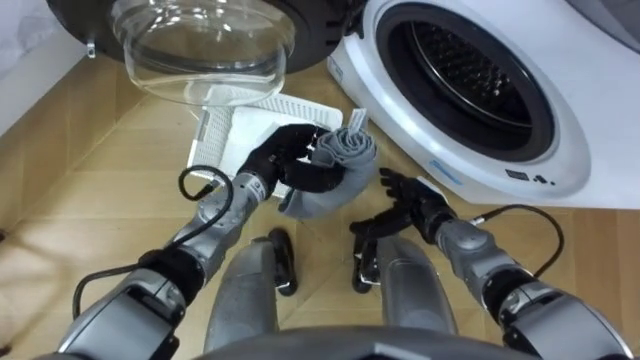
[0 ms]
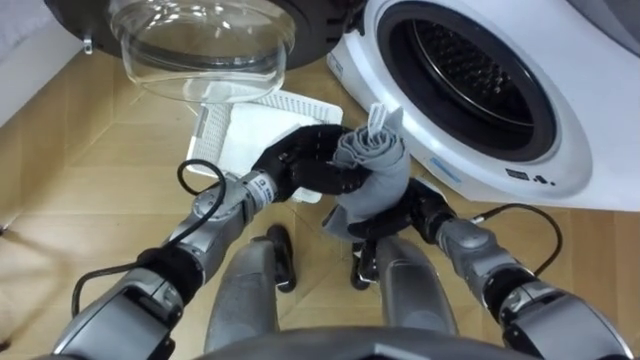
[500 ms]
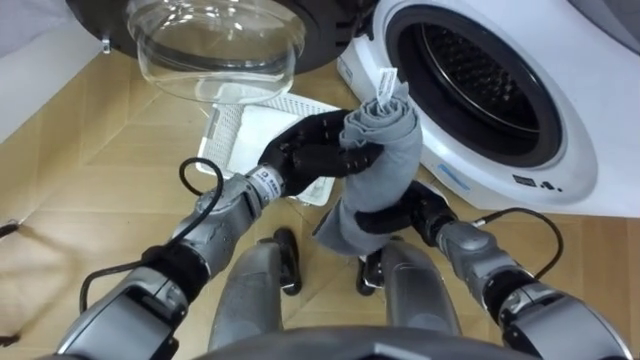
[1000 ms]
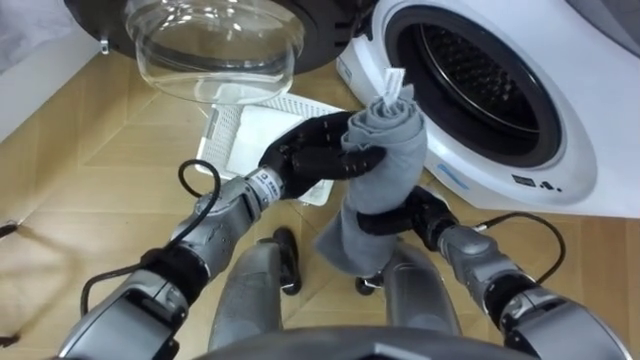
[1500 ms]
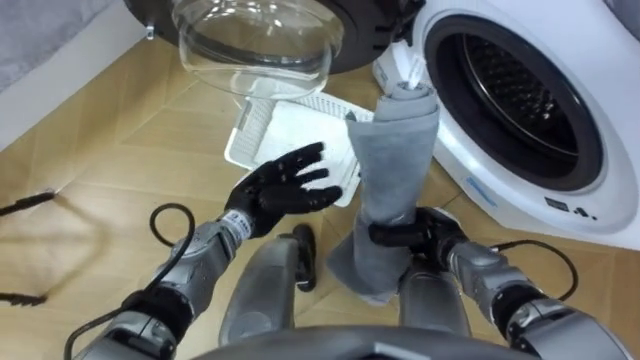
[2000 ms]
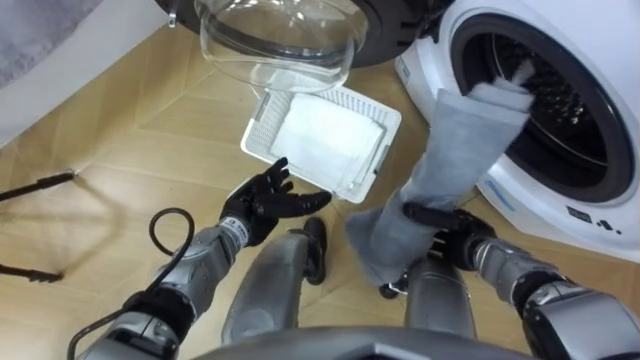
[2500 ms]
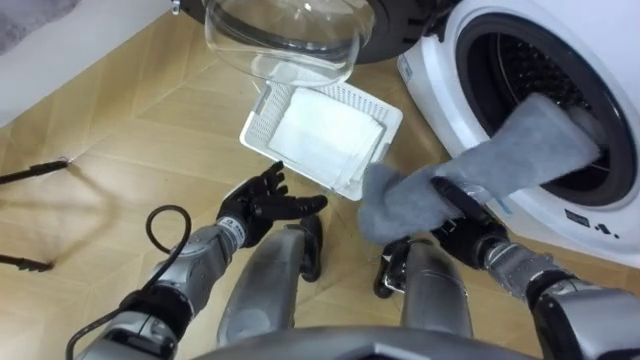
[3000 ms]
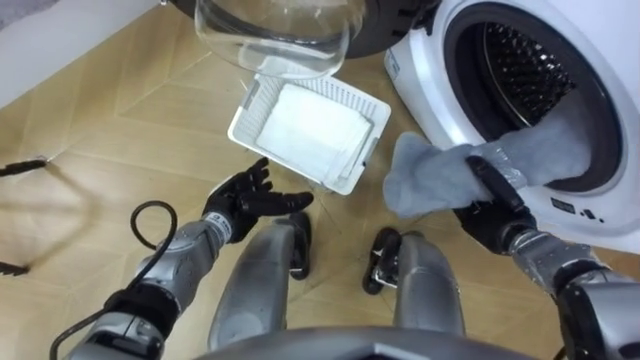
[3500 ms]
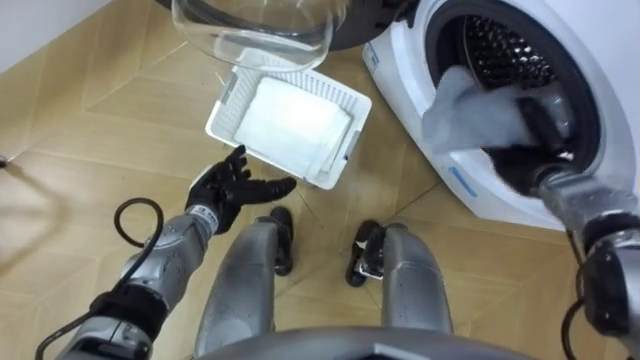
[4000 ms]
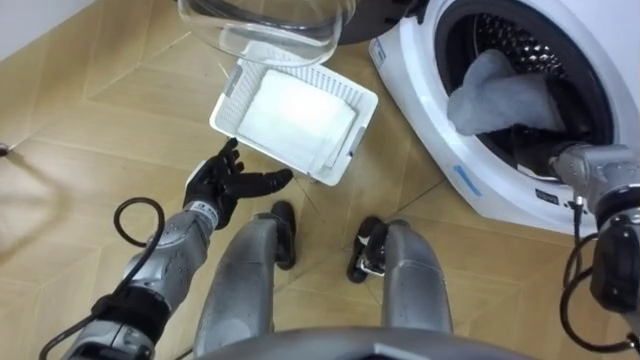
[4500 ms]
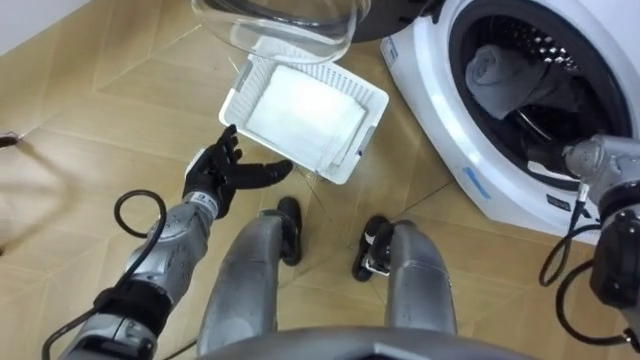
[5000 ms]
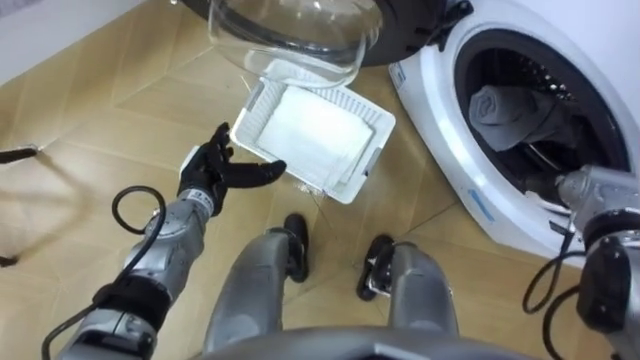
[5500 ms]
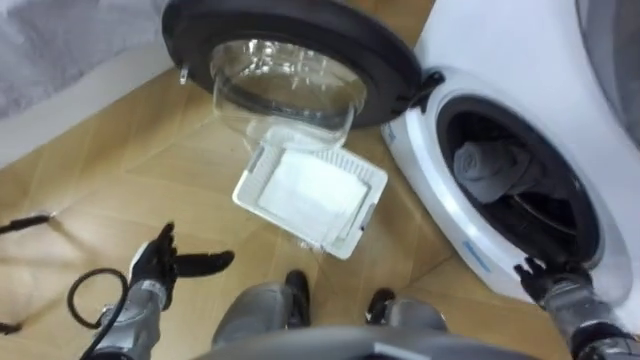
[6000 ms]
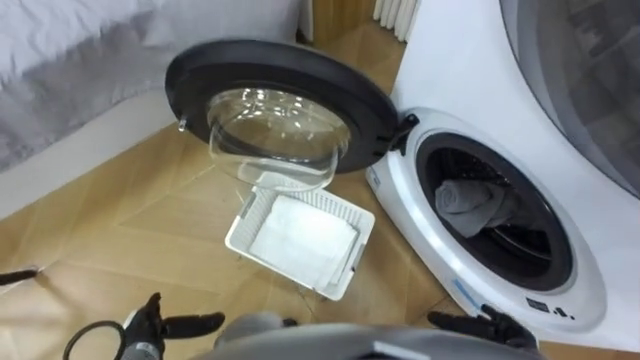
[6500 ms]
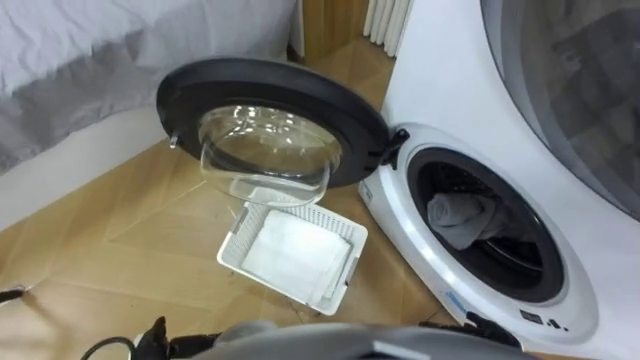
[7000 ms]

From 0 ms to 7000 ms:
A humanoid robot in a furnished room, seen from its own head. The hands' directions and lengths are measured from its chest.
Task of the whole recording: Take the towel from the basket and put it into the washing machine.
From 0 ms to 2000 ms: The right hand closes, while the left hand changes place by approximately 5 cm, and opens up.
From 2000 ms to 3500 ms: The right hand shifts about 10 cm to the right; the left hand ends up approximately 5 cm from where it was.
From 3500 ms to 5000 ms: The left hand shifts by some 5 cm; the right hand goes roughly 15 cm upward, to the right and forward, and opens.
From 5000 ms to 7000 ms: The right hand is displaced backward and downward by approximately 30 cm.

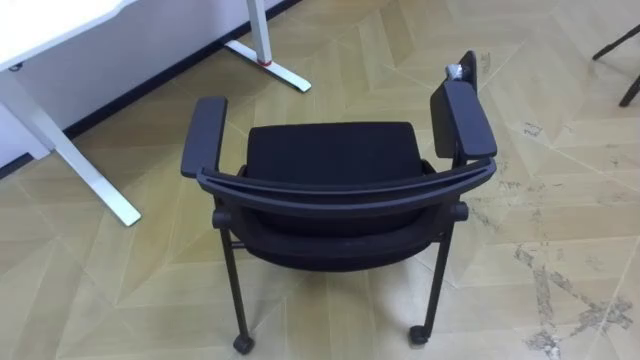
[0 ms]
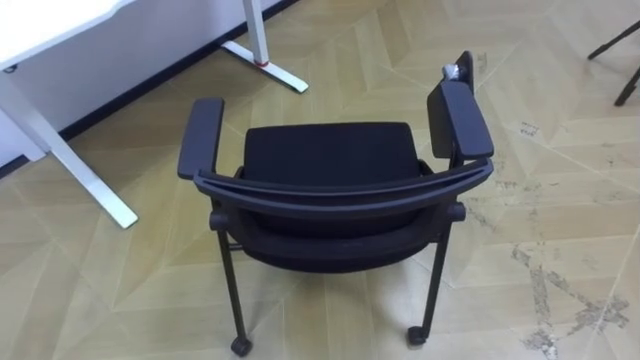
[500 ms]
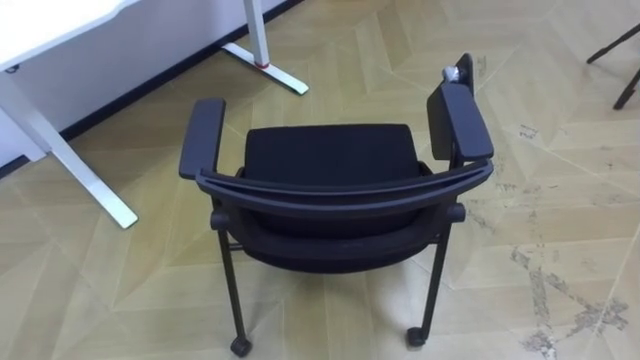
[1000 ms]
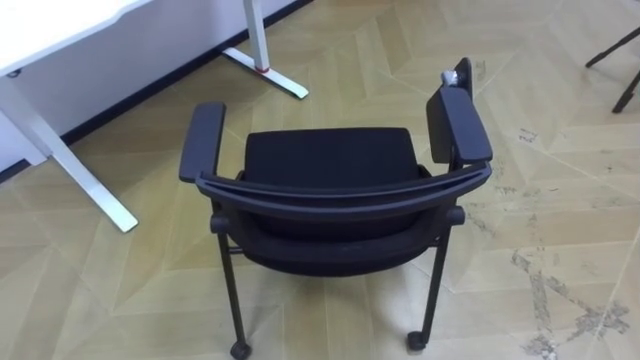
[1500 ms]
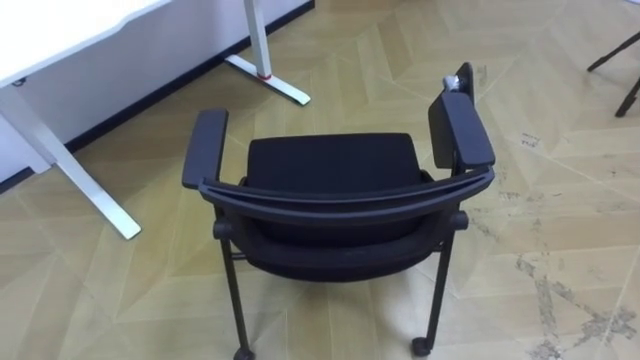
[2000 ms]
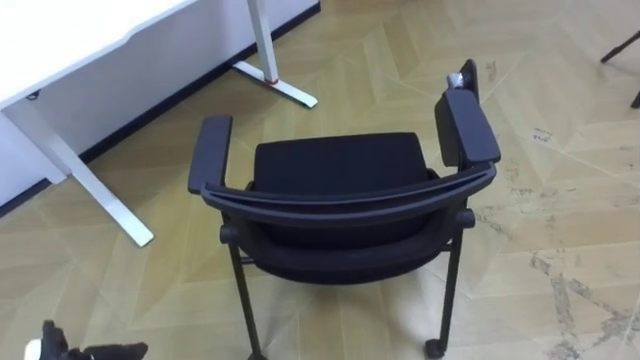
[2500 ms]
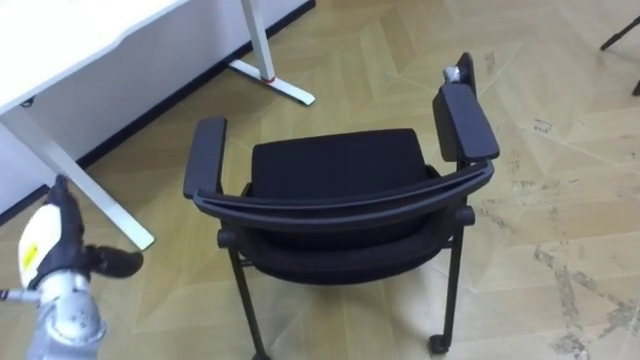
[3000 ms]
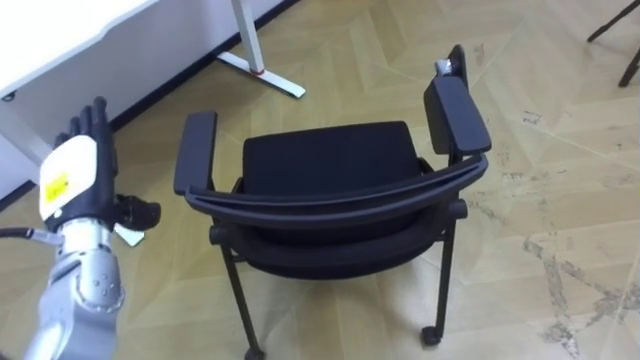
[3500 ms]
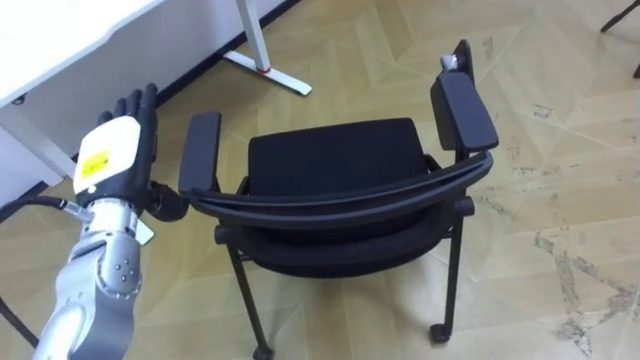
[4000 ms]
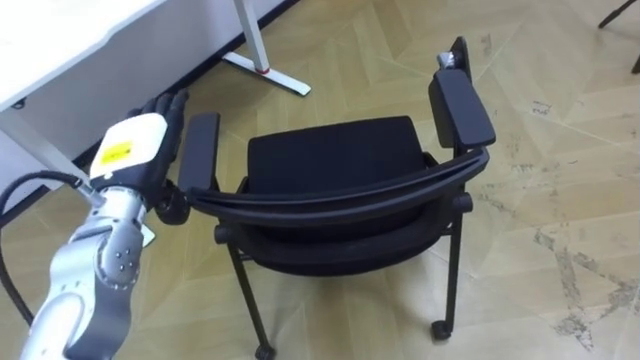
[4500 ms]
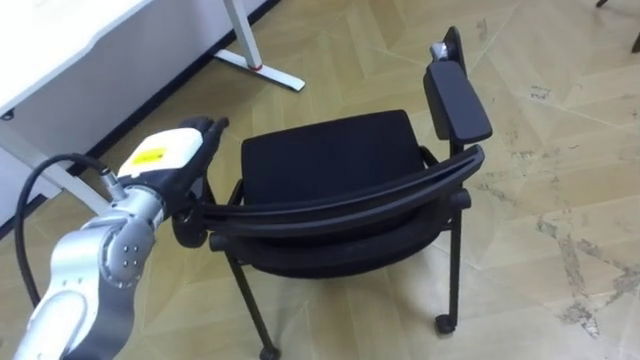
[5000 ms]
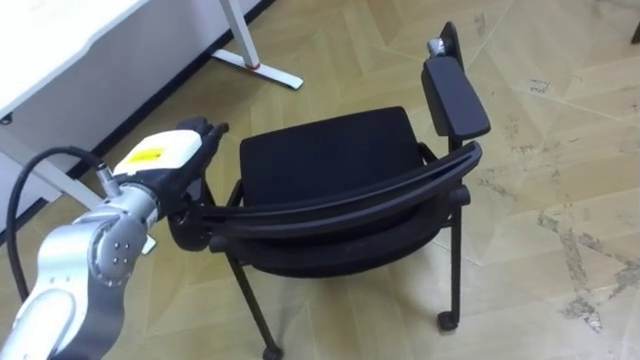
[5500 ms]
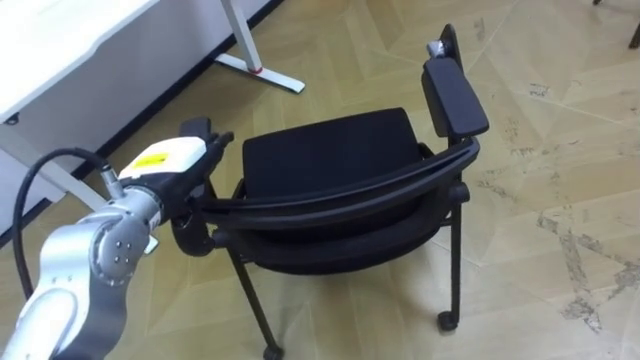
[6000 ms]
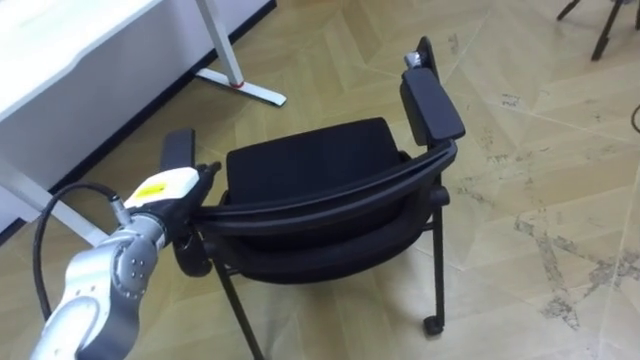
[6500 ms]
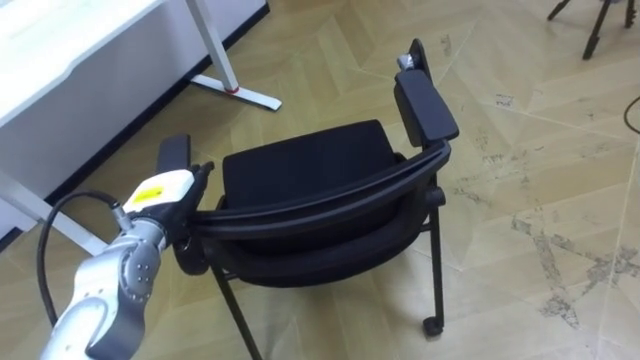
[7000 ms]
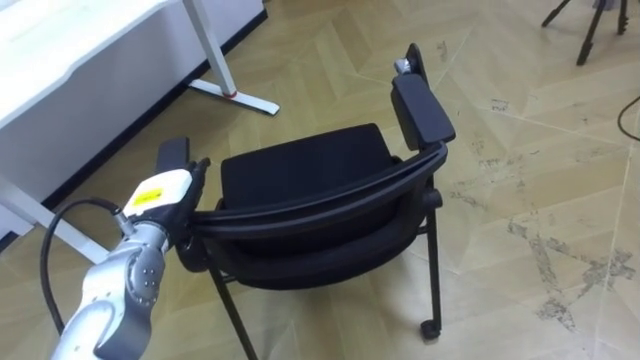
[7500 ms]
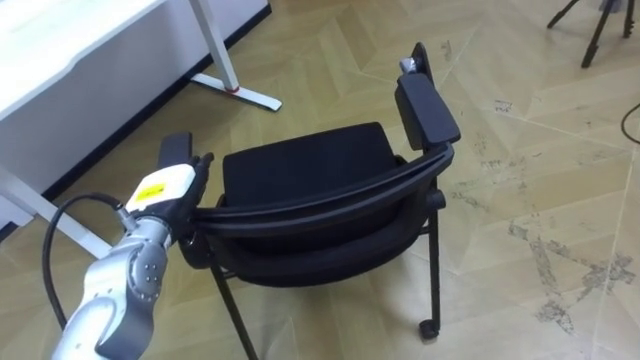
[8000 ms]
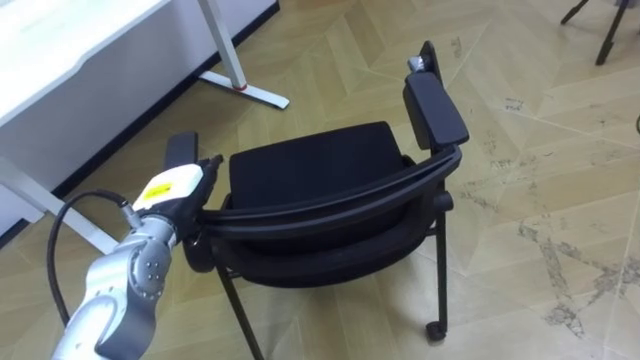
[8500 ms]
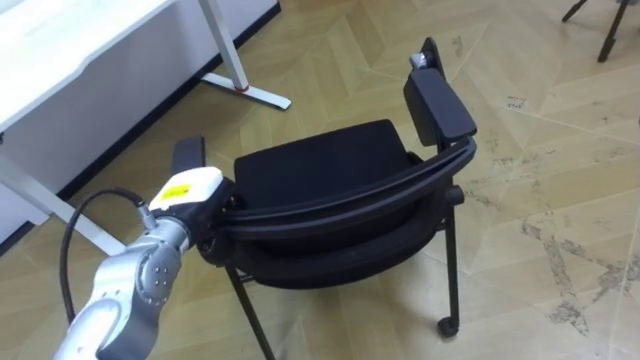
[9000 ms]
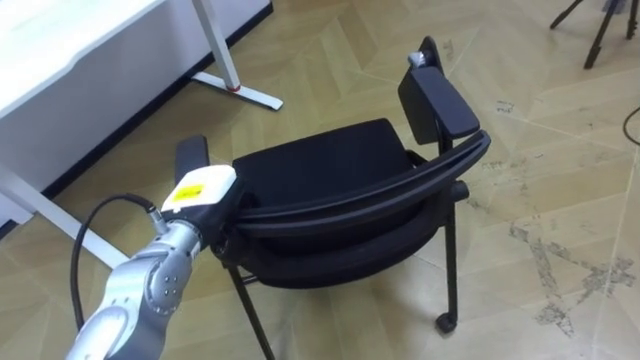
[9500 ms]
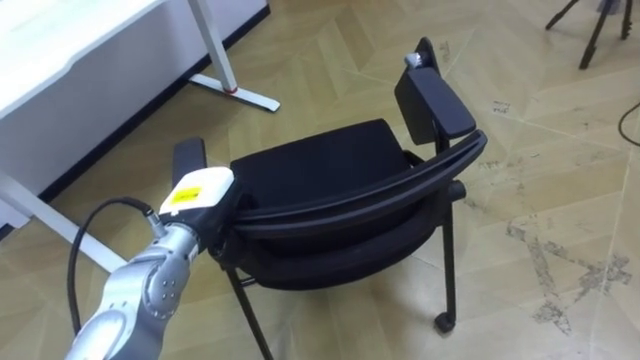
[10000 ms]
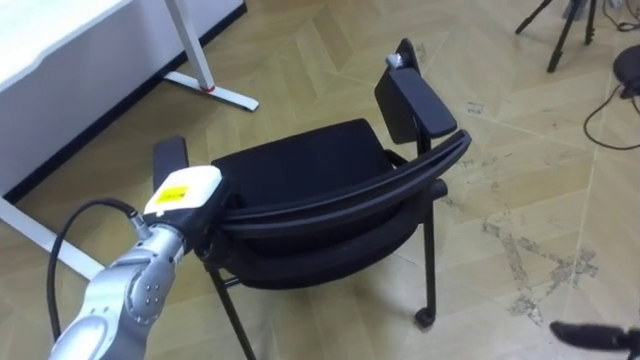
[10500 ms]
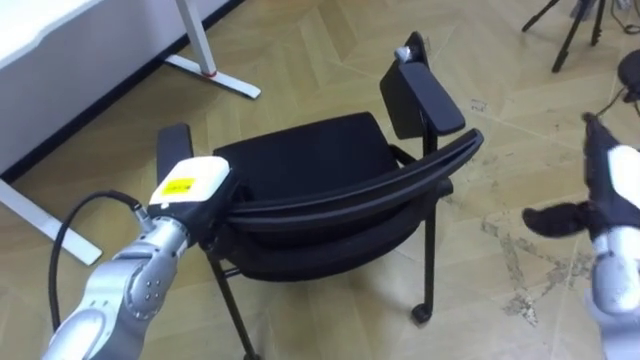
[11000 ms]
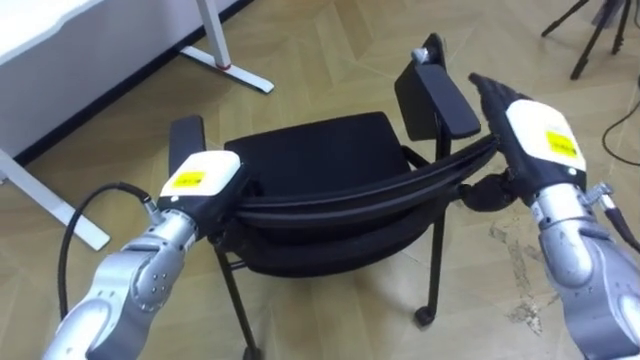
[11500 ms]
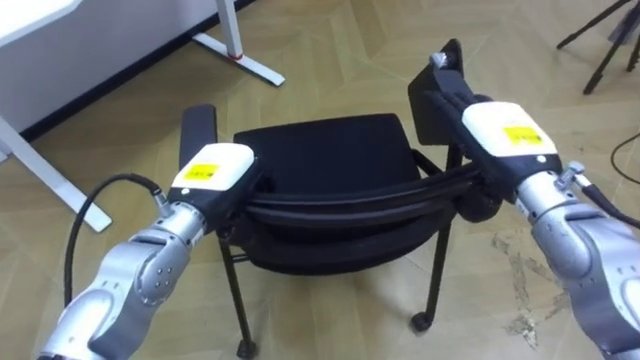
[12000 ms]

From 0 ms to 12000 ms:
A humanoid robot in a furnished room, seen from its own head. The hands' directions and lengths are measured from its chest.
Task of the whole recording: Push the chair under the table.
From 4000 ms to 6000 ms: The left hand travels to the right by some 5 cm.
From 6000 ms to 8000 ms: The left hand is displaced downward by approximately 5 cm.
From 8000 ms to 10000 ms: The left hand closes its fingers.

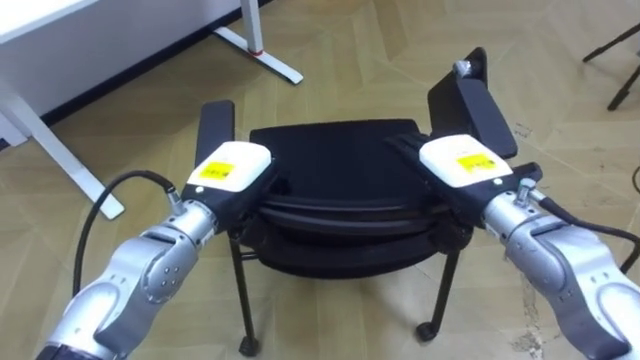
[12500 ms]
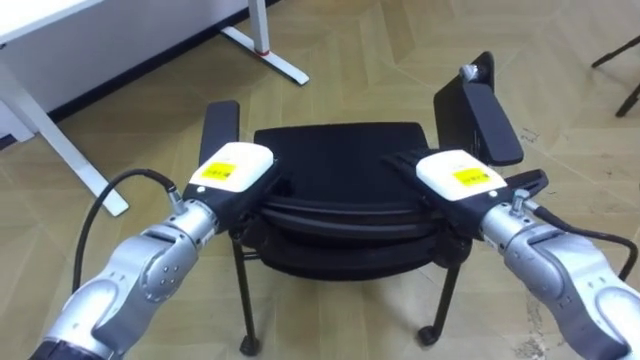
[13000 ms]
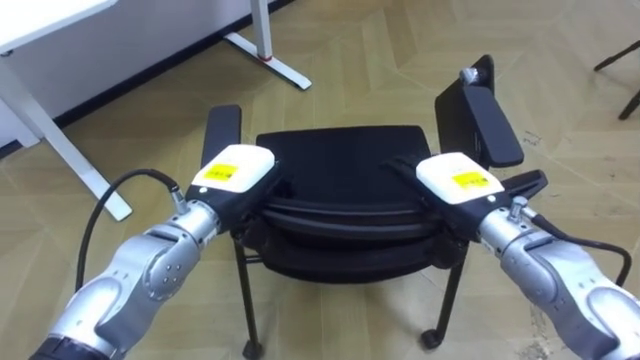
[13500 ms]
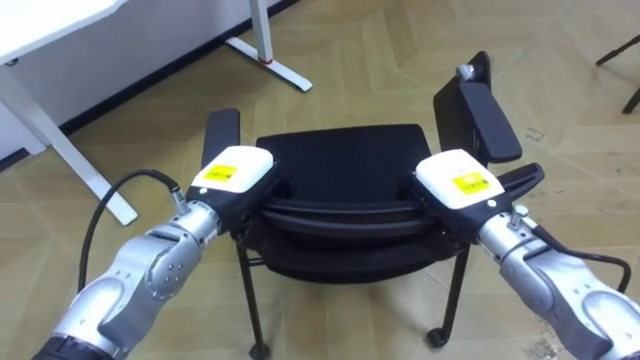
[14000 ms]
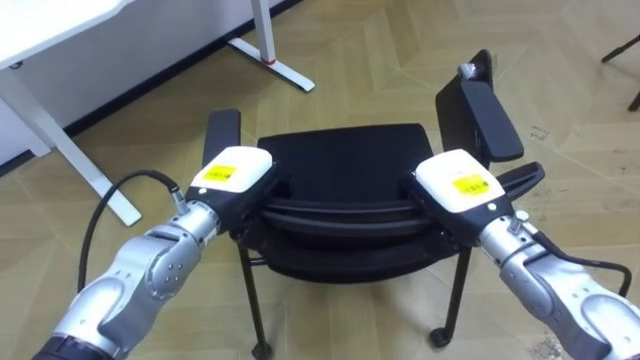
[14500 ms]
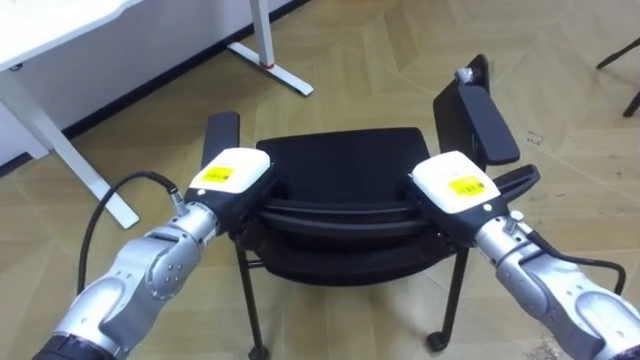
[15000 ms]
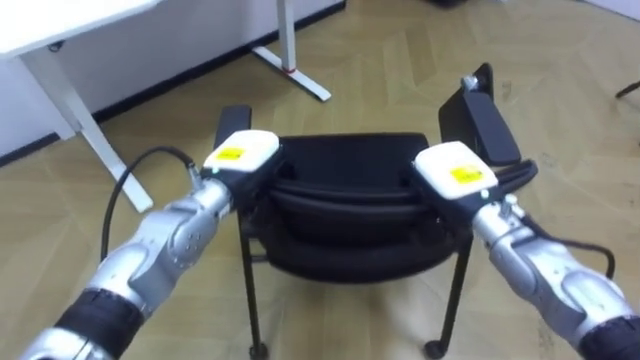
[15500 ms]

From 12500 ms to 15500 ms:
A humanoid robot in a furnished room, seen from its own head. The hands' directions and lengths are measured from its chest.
Task of the whole recording: Push the chair under the table.
From 12500 ms to 14000 ms: The right hand closes up.
